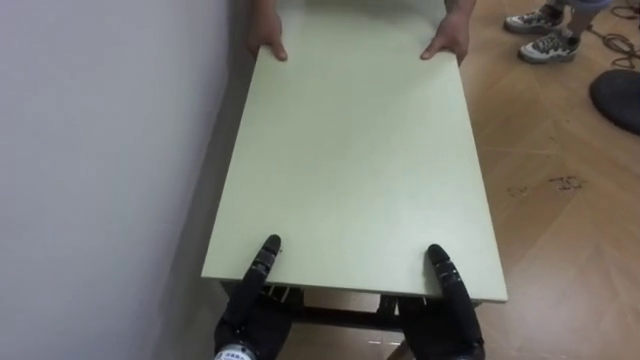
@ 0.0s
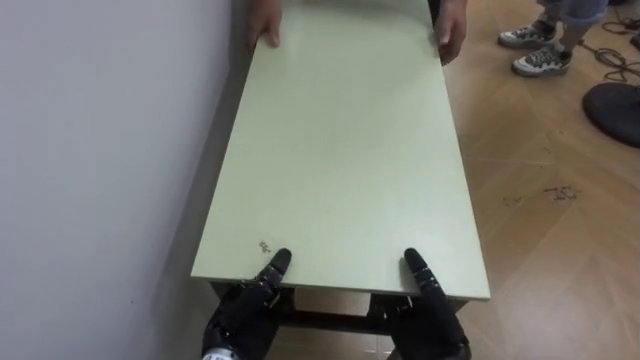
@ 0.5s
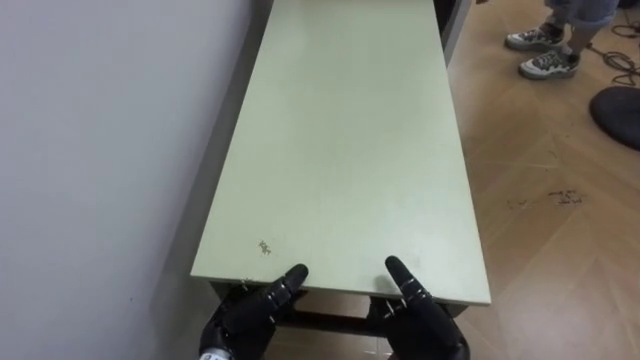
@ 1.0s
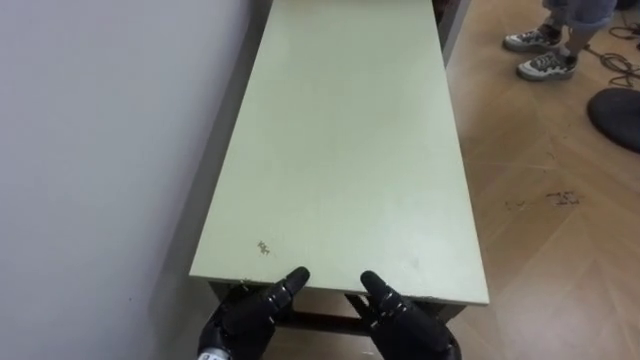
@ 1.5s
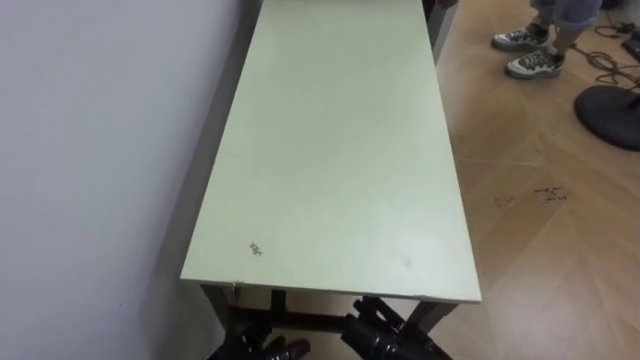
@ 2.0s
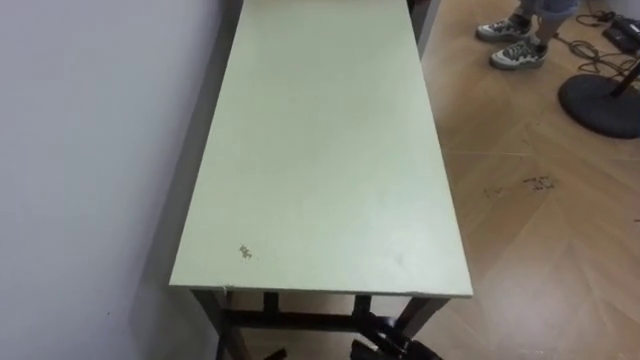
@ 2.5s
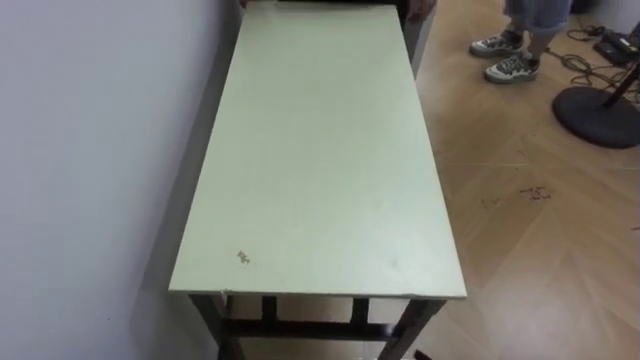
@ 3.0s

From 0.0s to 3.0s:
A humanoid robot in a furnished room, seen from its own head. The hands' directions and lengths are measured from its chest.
Task of the whole recording: Move the table to the back left with someone.
From 0.0s to 1.5s: The left hand opens up. Meanwhile the right hand opens its fingers.
